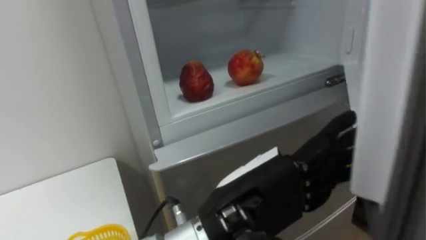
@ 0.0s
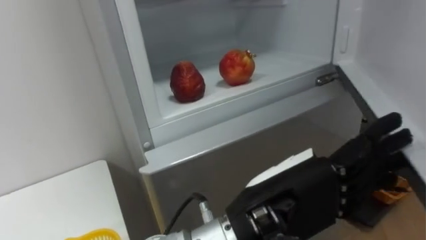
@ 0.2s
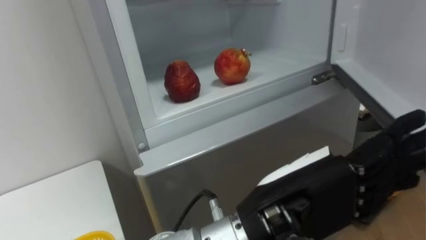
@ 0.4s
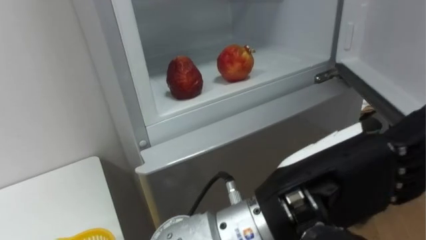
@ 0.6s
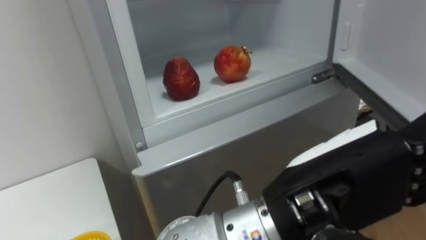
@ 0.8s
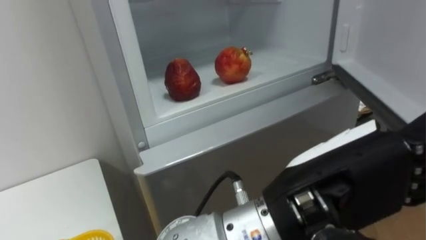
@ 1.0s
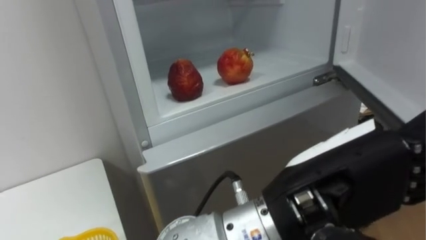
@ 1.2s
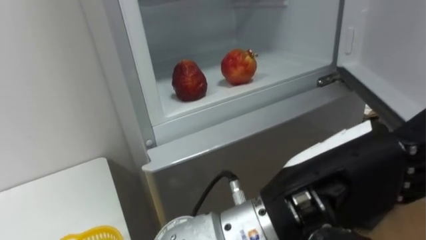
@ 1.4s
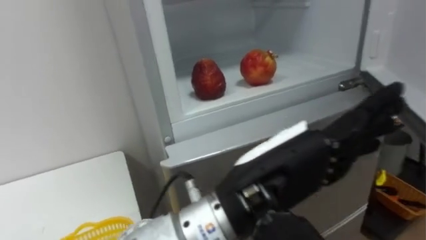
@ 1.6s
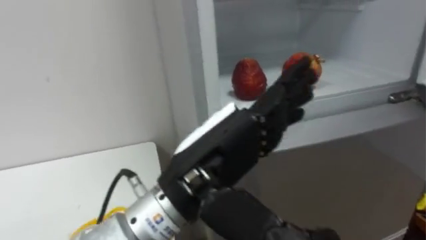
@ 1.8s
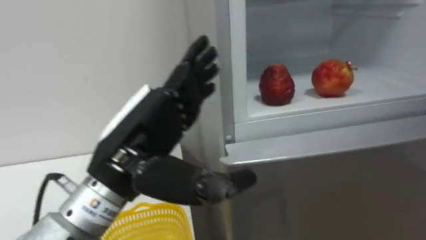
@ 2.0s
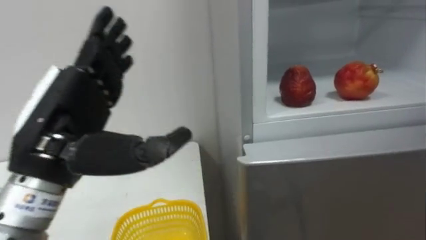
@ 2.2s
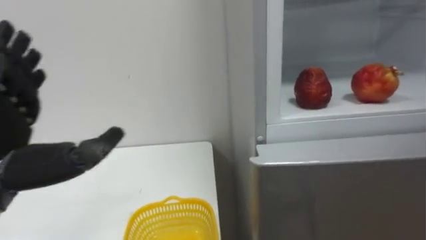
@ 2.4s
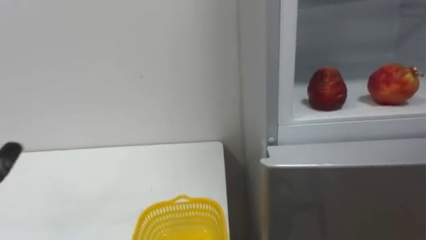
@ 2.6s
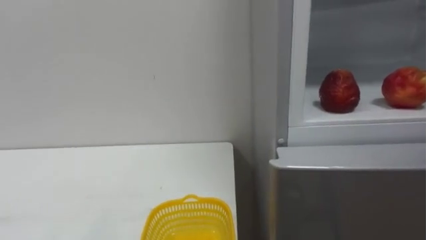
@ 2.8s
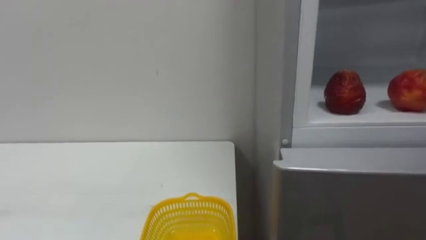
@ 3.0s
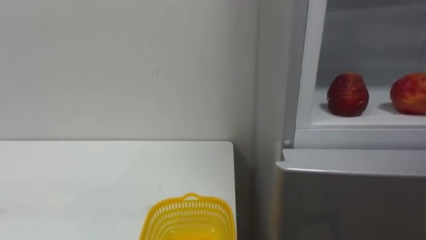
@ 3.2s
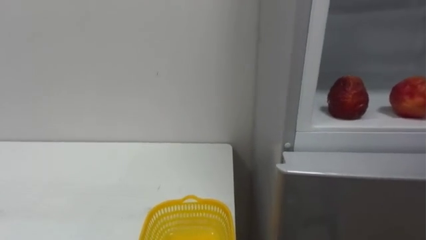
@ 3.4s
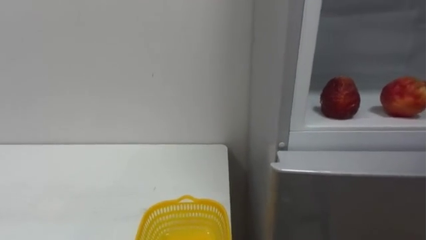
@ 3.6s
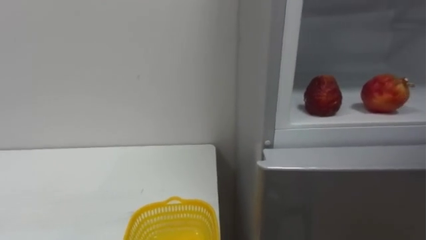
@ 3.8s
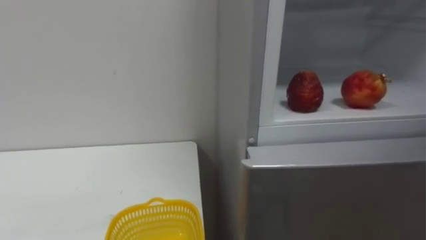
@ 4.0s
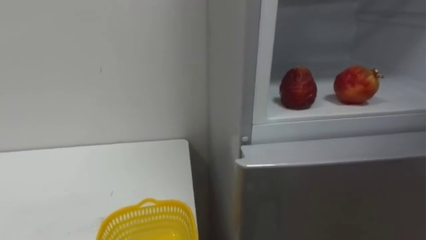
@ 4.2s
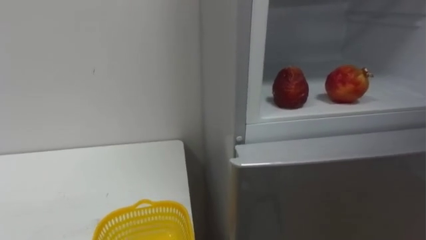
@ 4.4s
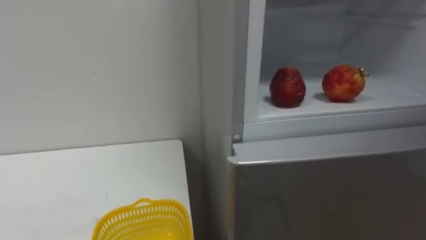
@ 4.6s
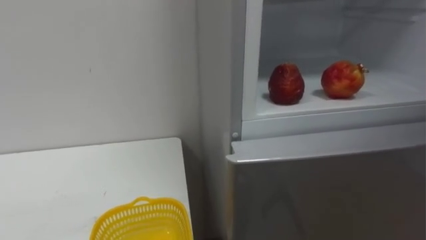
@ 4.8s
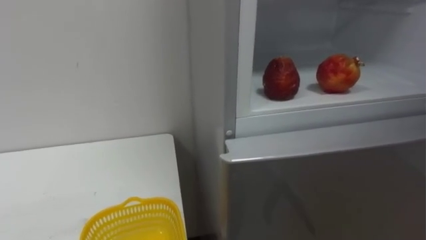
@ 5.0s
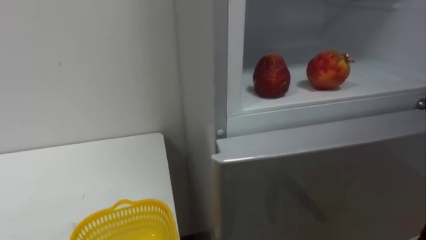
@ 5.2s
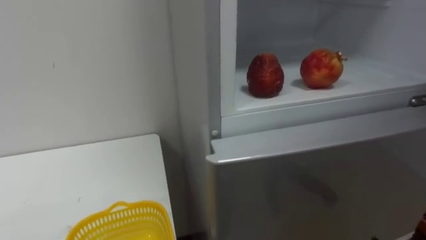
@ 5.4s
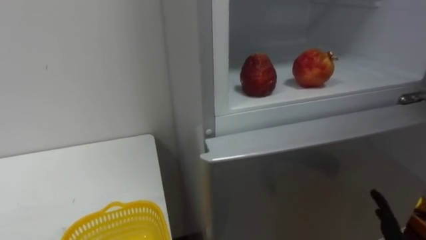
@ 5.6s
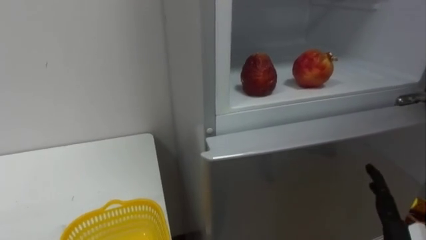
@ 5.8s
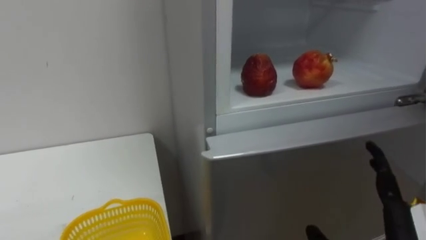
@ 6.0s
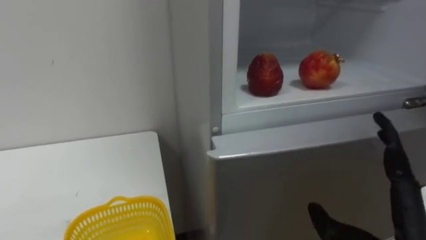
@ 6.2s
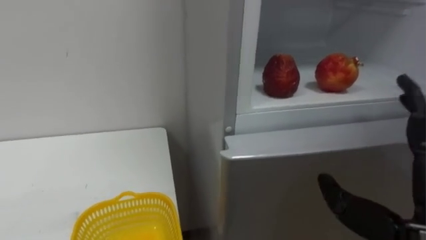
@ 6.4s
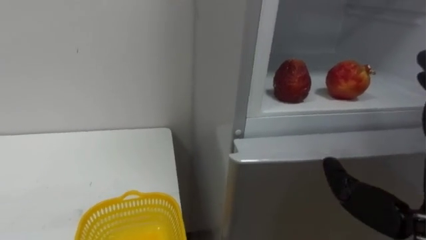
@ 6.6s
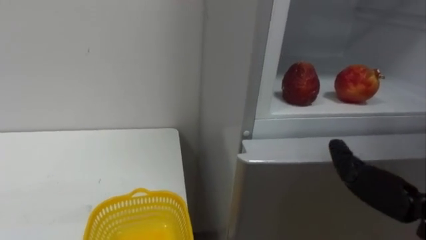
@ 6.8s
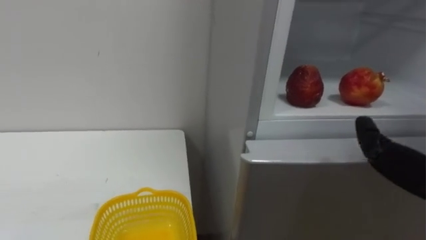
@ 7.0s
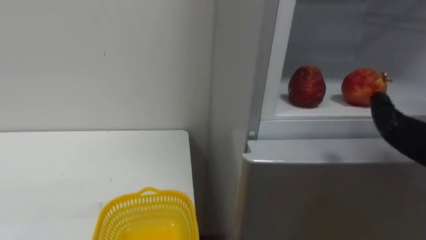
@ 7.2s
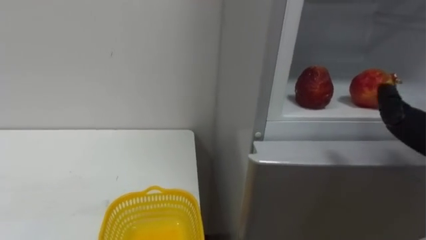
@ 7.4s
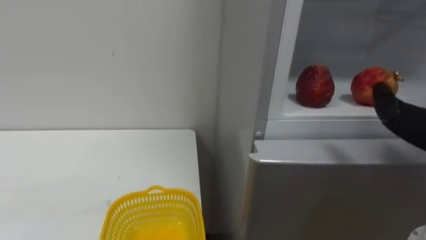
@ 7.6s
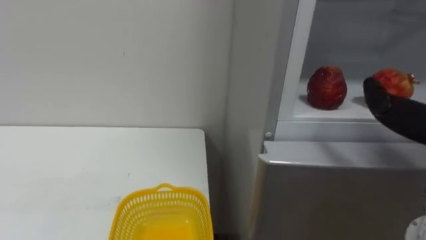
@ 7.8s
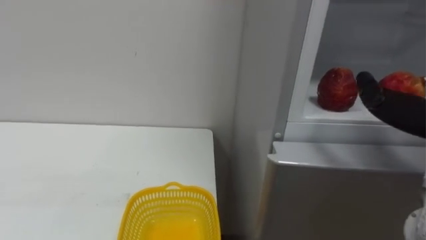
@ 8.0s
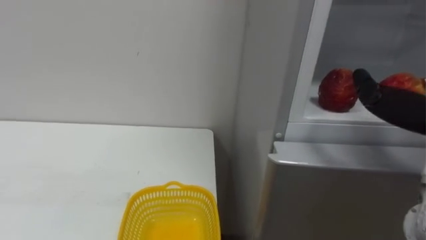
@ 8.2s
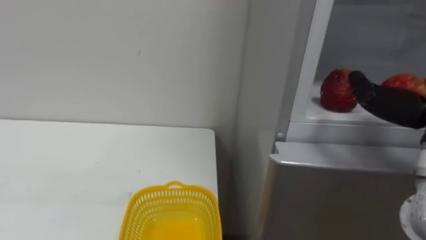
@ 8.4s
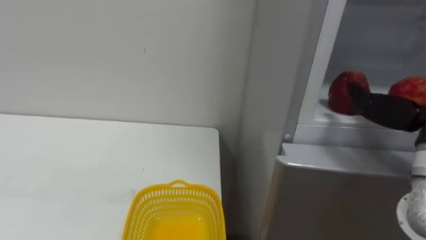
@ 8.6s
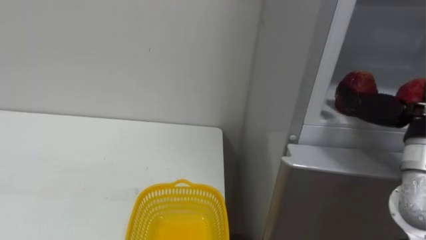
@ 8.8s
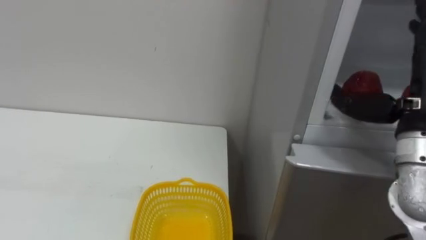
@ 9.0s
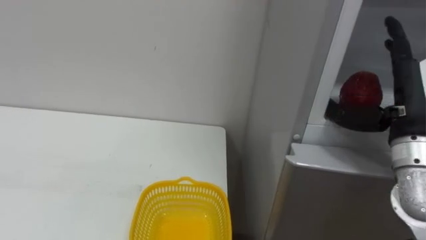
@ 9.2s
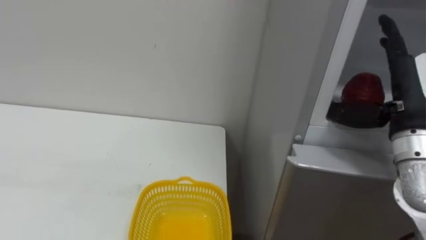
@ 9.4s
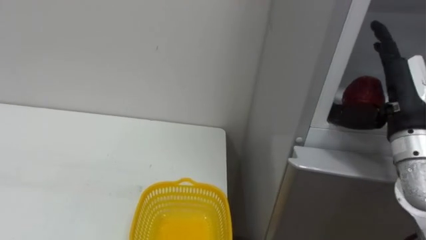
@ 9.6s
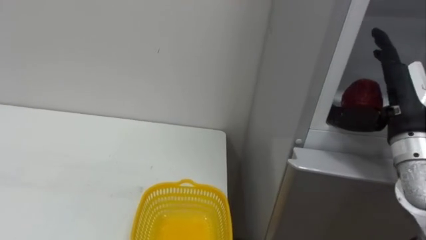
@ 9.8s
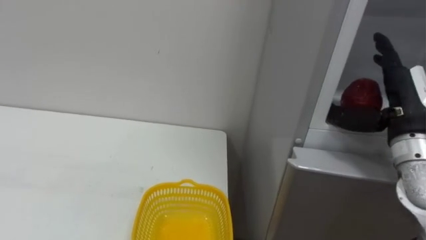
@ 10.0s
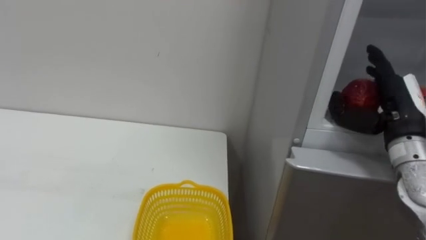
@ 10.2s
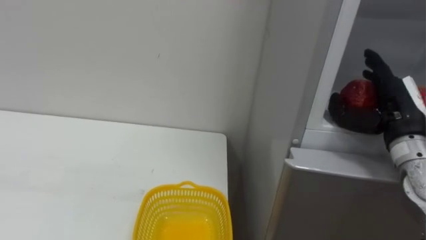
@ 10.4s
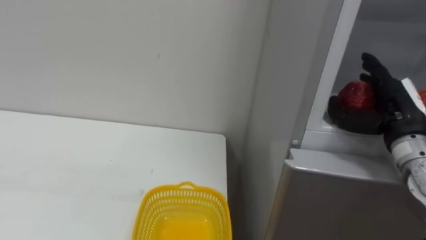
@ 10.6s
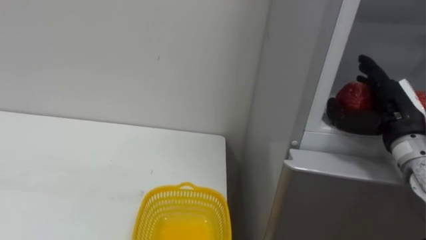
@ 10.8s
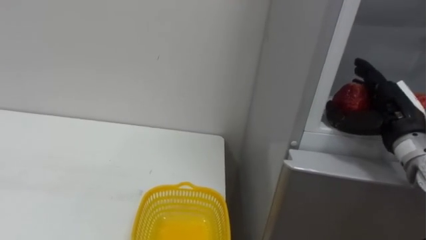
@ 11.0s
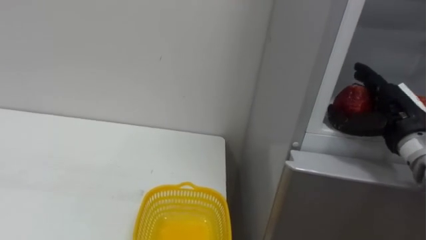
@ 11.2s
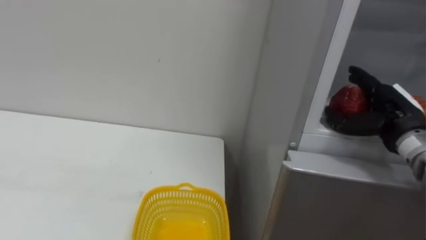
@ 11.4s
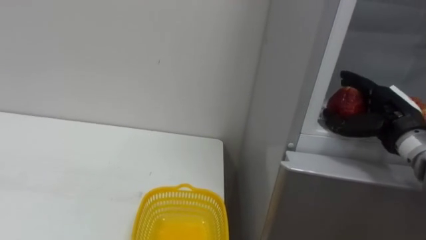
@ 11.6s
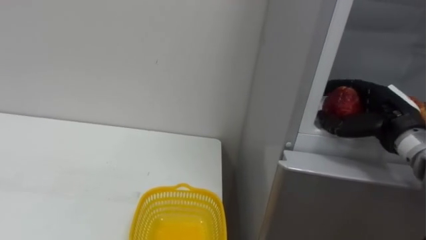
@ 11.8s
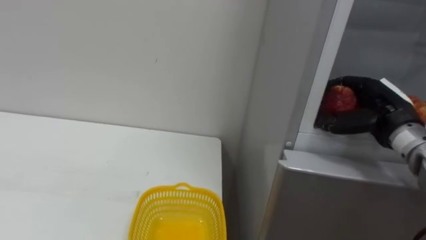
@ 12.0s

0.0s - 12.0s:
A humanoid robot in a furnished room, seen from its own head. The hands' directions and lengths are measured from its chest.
Task of the whole recording: Open the refrigerator door, take out the apple and the pomegranate, place them in the fruit basket on the left, and close the refrigerator door.
9.0s - 10.4s: The right hand moves downward and forward, approximately 10 cm.
10.4s - 12.0s: The right hand closes.

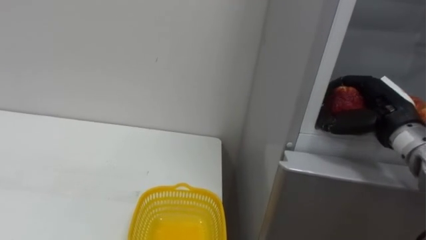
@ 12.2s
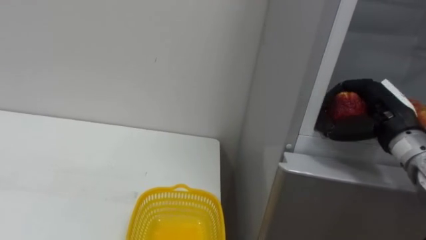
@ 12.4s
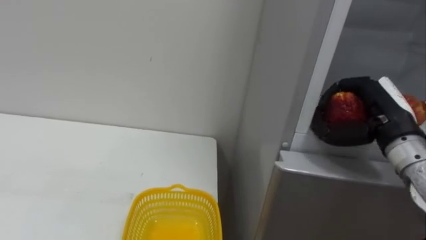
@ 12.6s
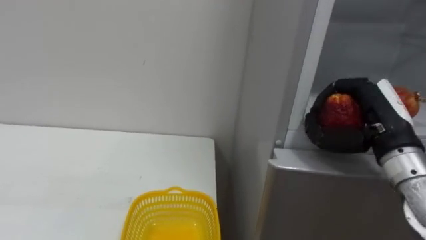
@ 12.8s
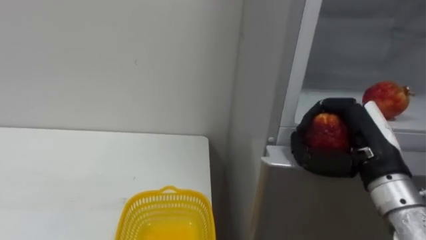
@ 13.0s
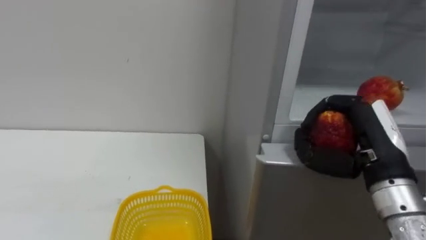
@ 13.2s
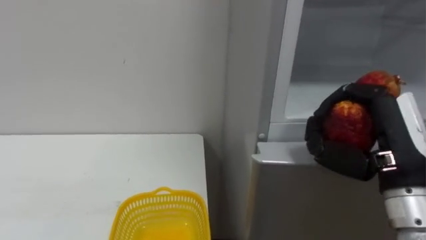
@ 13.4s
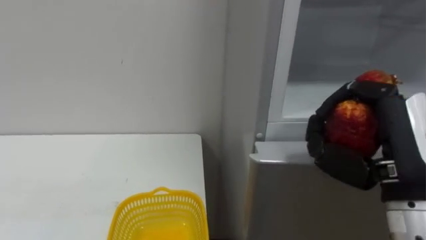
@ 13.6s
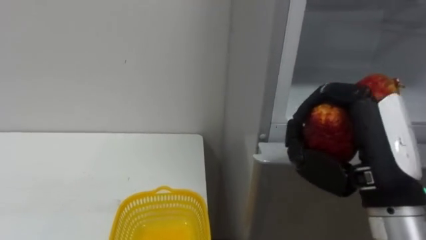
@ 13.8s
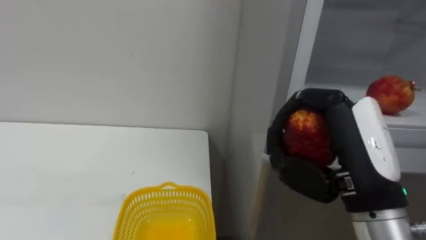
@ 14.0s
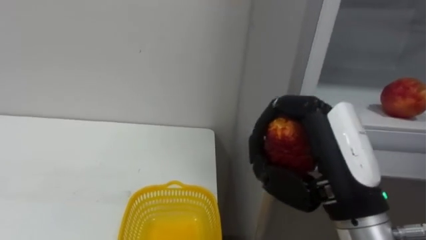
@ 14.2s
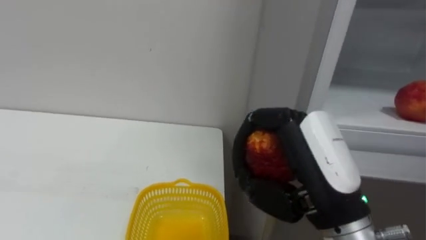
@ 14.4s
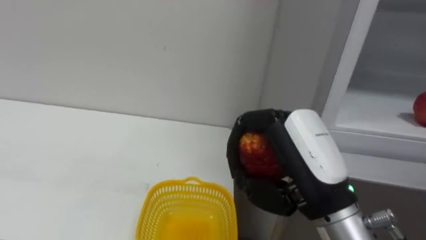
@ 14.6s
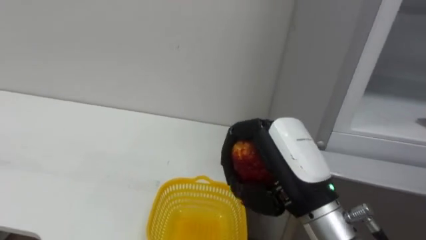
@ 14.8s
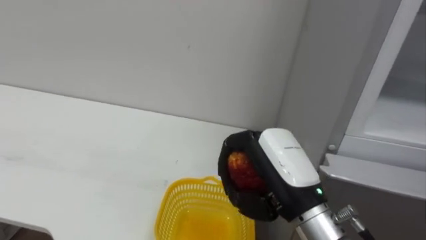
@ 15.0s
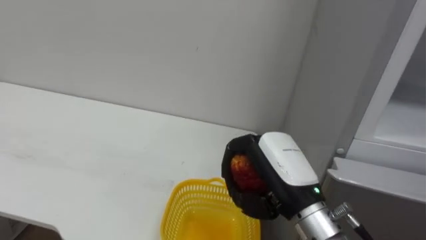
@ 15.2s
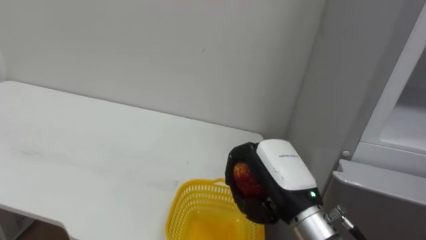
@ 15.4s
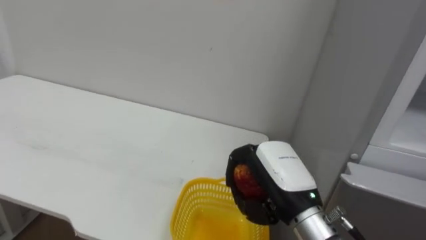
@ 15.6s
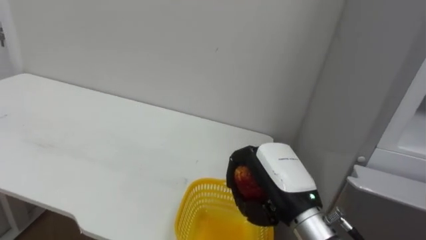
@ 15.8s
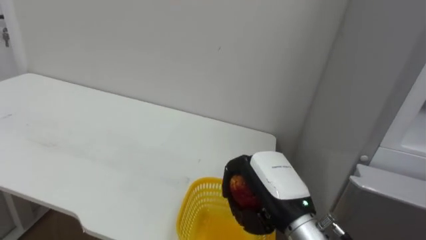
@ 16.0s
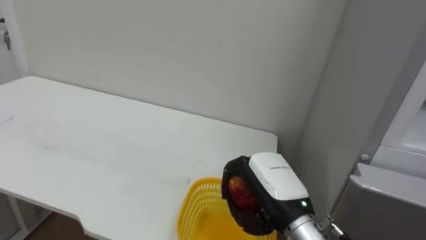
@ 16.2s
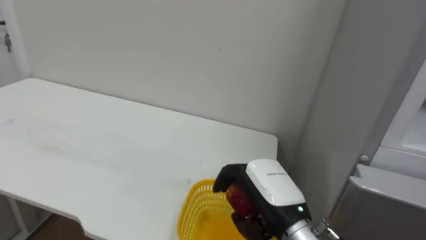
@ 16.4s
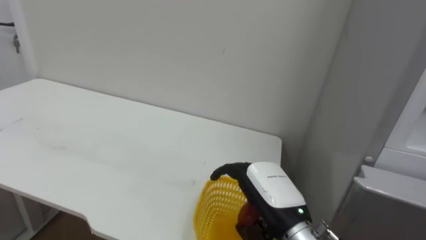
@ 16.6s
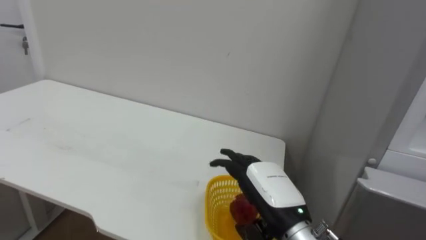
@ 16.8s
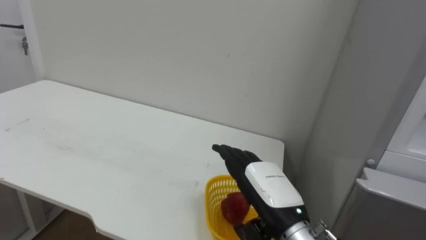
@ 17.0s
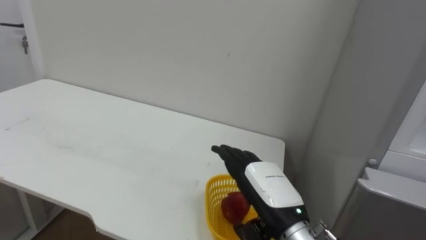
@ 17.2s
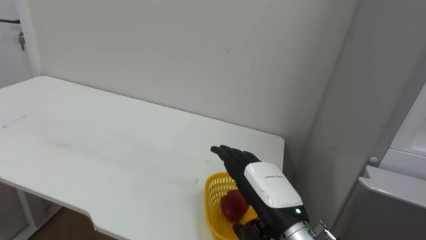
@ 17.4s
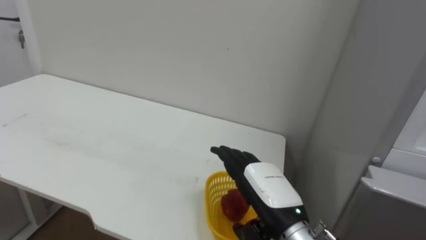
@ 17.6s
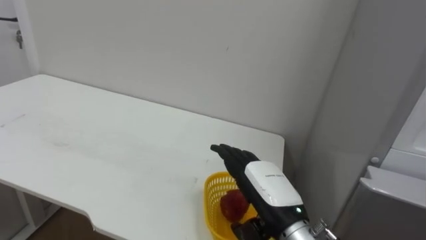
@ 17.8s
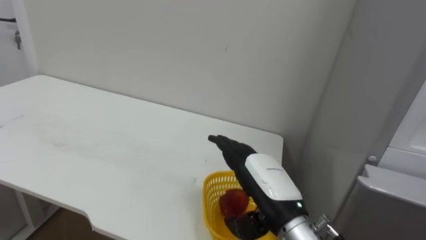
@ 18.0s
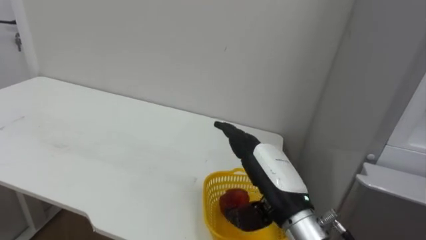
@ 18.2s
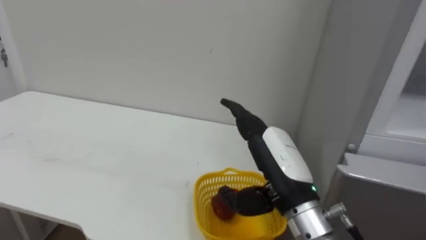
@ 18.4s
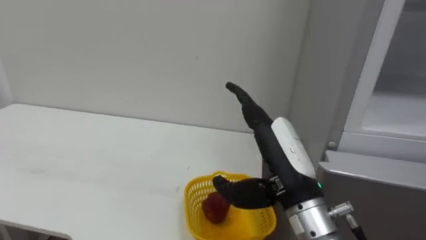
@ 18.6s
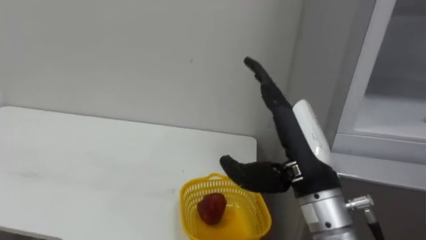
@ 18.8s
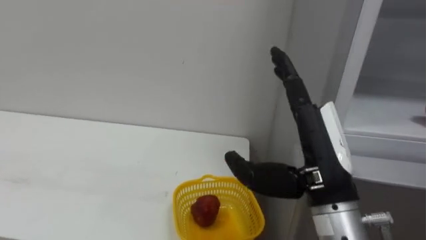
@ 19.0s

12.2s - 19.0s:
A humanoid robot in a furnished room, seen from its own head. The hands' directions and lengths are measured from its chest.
Task of the whole recording: Open the refrigerator door, take out the apple and the pomegranate, place them in the fruit basket on the left, and close the refrigerator door.
12.2s - 13.6s: The right hand is displaced backward by roughly 15 cm.
13.6s - 15.0s: The right hand shifts some 15 cm to the left and downward.
15.0s - 16.2s: The right hand shifts roughly 5 cm downward.
16.2s - 17.6s: The right hand opens its fingers.
17.6s - 19.0s: The right hand heads upward, covering roughly 10 cm.
